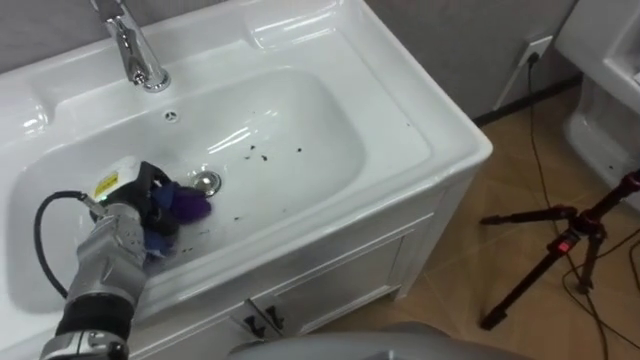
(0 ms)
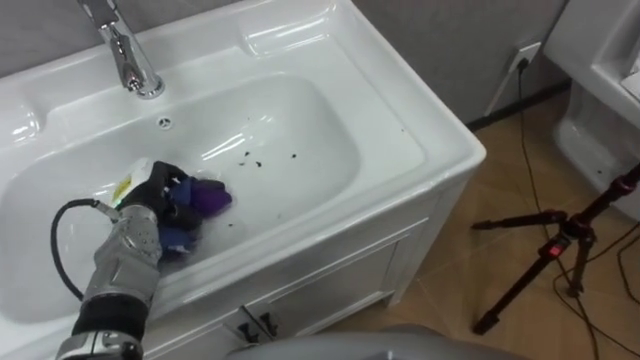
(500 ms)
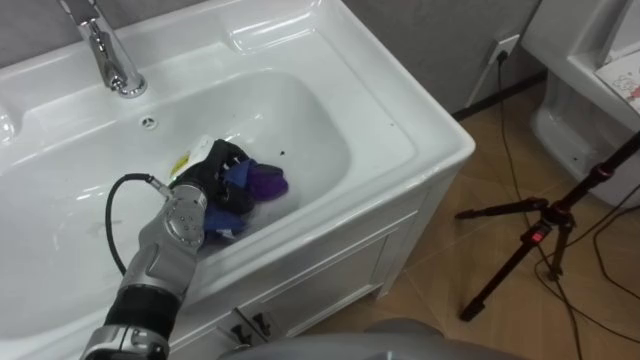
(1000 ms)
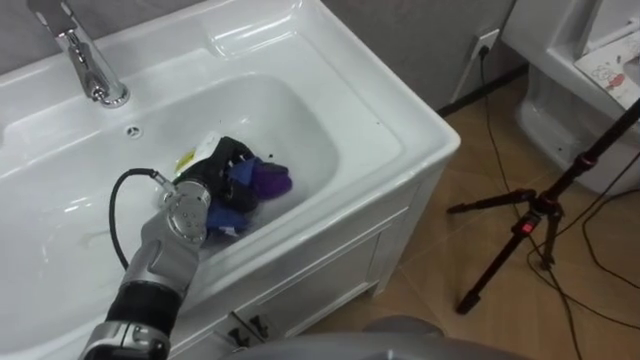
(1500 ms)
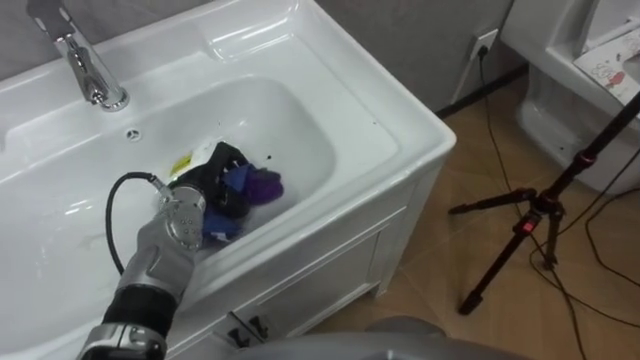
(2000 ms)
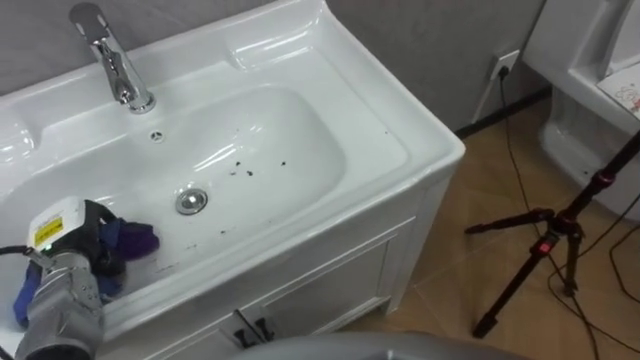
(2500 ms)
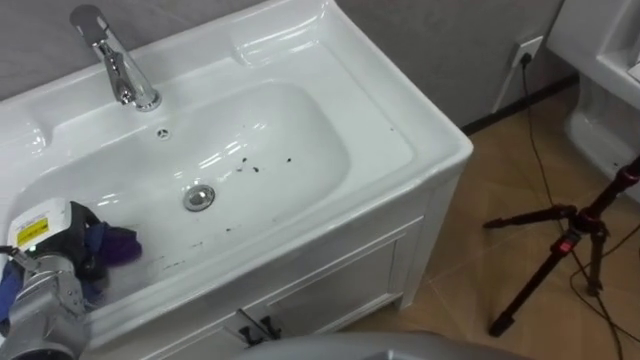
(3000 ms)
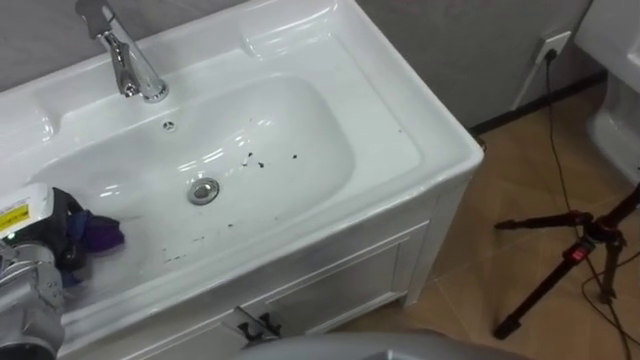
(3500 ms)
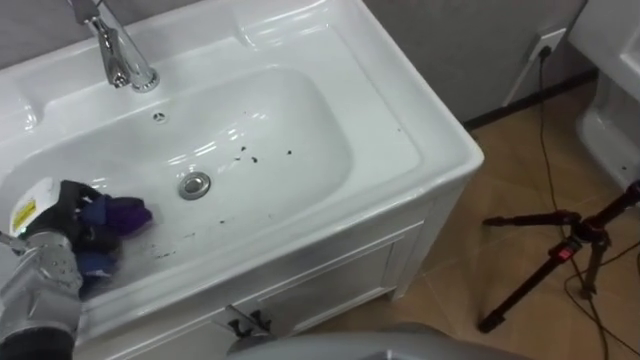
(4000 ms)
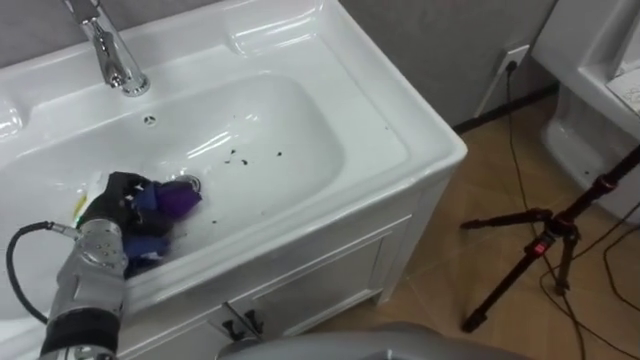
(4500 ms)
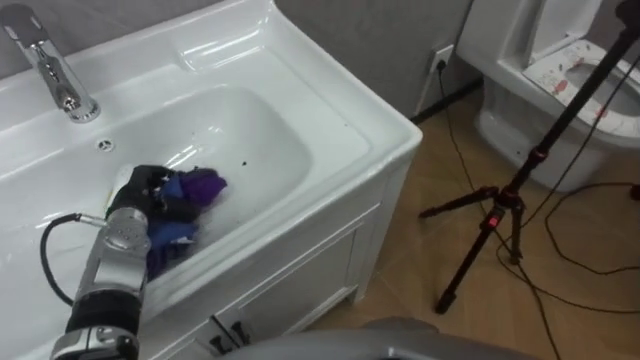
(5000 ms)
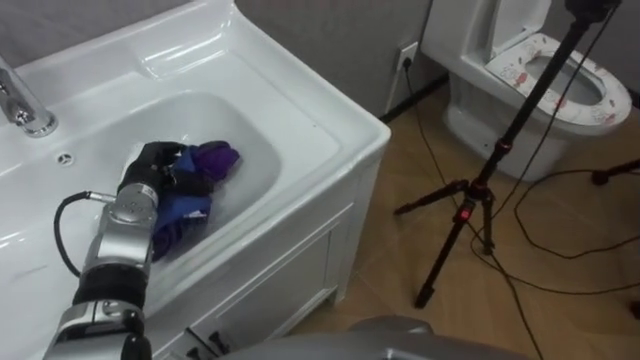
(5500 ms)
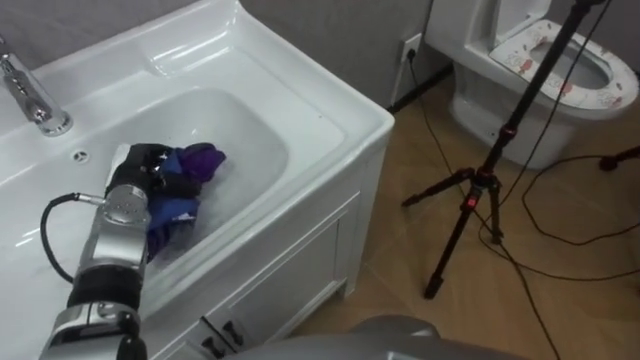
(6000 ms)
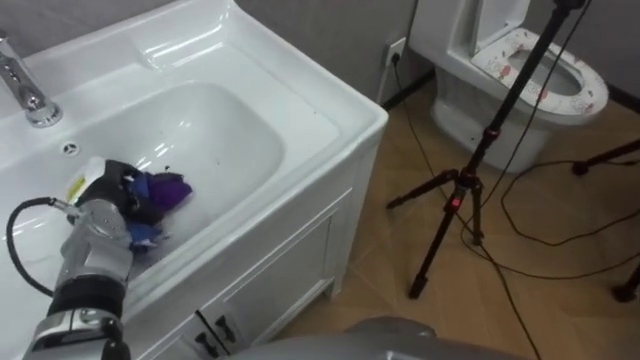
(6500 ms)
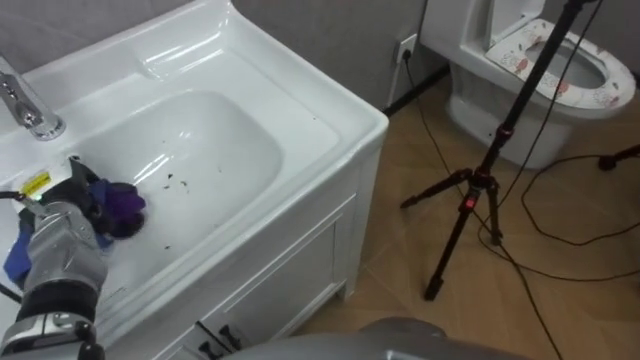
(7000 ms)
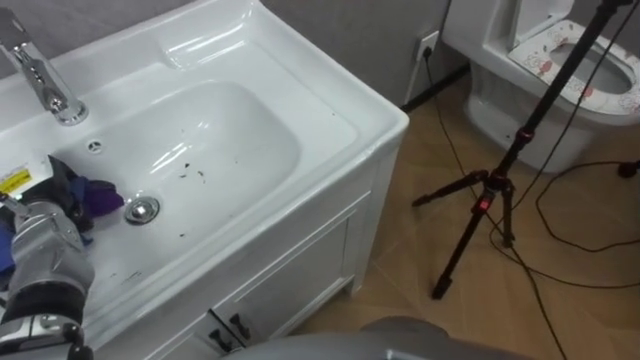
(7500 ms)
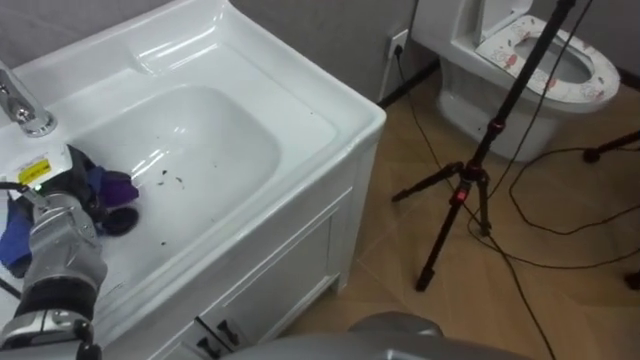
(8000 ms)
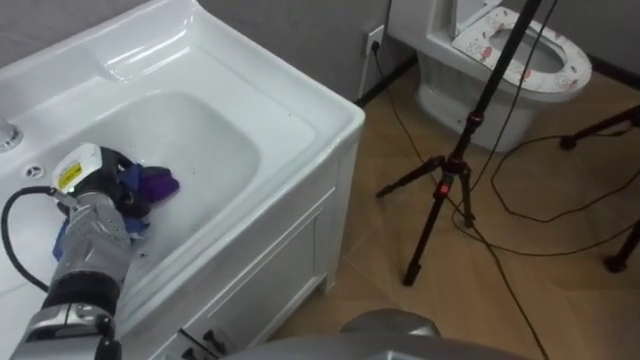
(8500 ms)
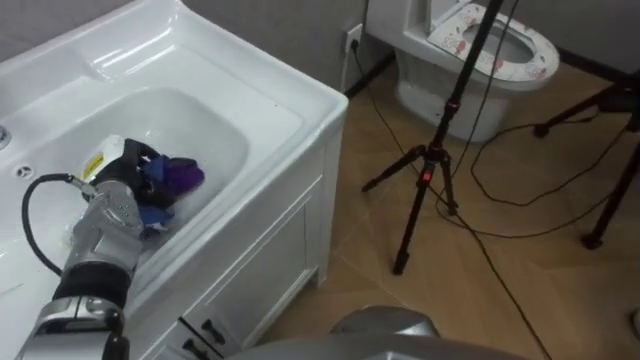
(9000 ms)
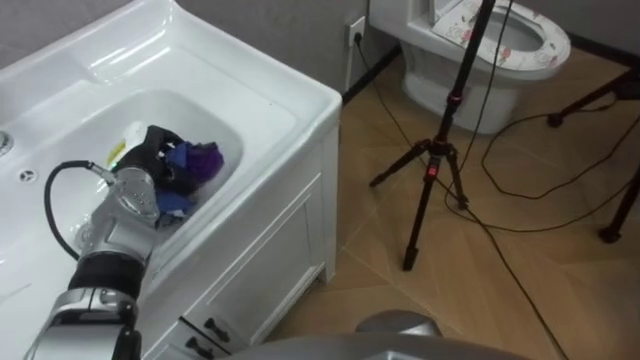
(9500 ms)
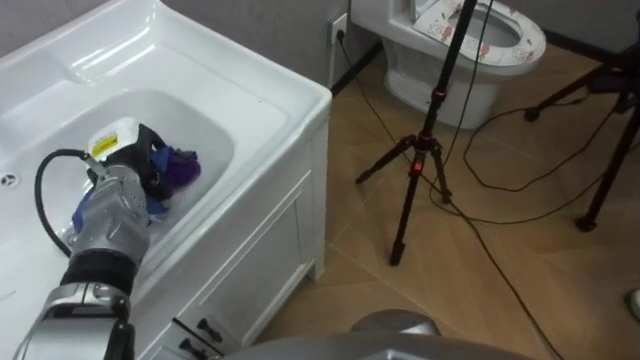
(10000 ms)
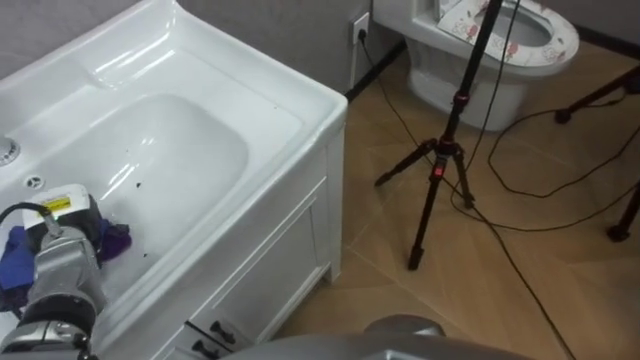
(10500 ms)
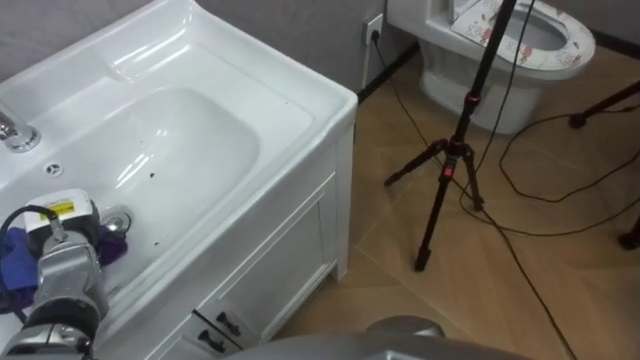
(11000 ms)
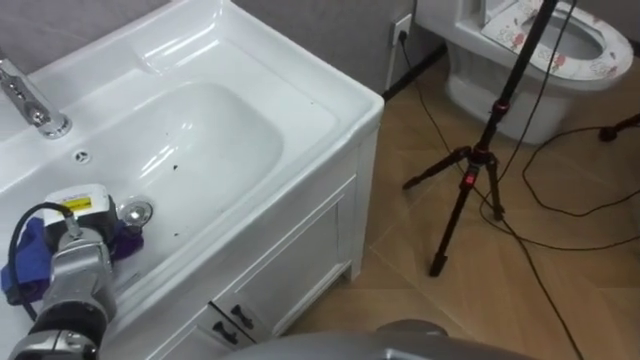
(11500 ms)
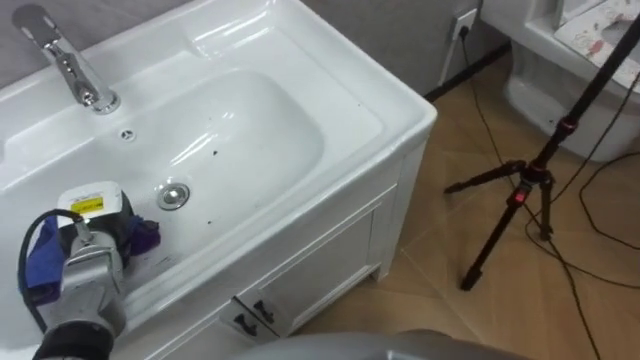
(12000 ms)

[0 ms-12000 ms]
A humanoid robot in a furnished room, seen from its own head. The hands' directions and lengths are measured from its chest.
Task of the whole recording: Use the cloth on the right to wipe away the black stain in the sink.
0 ms to 2000 ms: The left hand shifts roughly 10 cm to the right.
2000 ms to 4000 ms: The left hand travels to the left by approximately 20 cm.
4000 ms to 6000 ms: The left hand is displaced to the right and forward by some 10 cm.
6000 ms to 8000 ms: The left hand heads to the left, covering roughly 10 cm.
8000 ms to 10000 ms: The left hand heads to the right, covering about 10 cm.
10000 ms to 12000 ms: The left hand travels backward by roughly 10 cm.

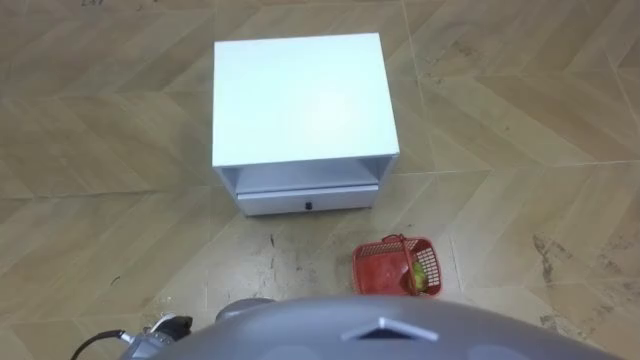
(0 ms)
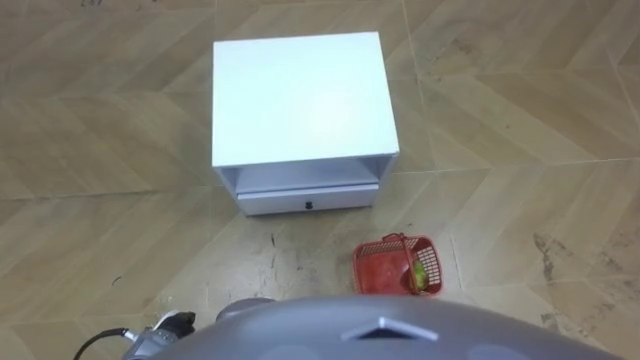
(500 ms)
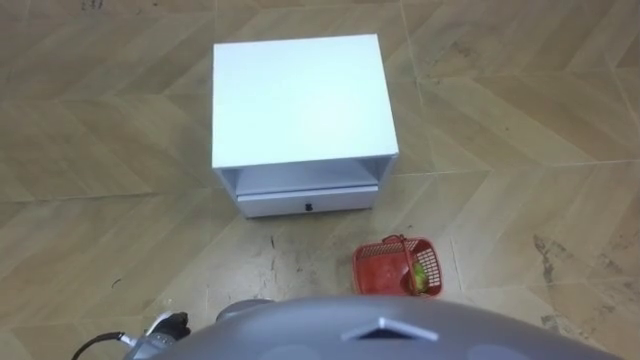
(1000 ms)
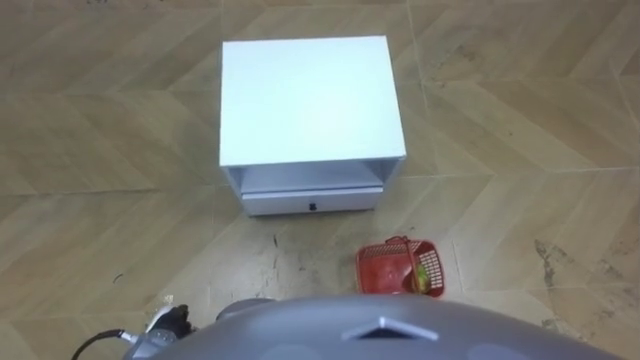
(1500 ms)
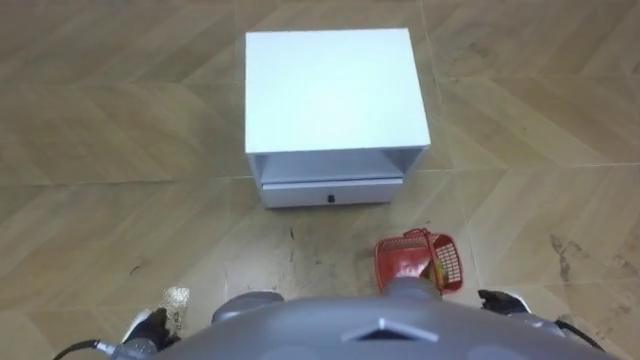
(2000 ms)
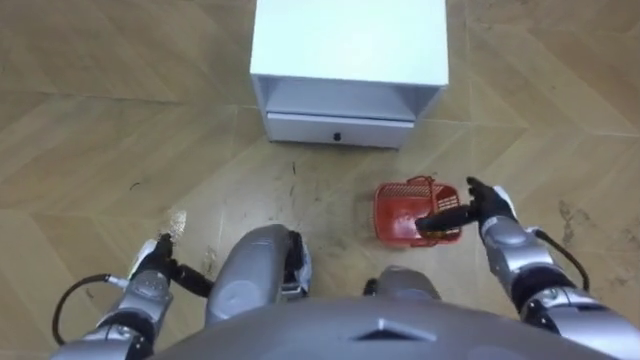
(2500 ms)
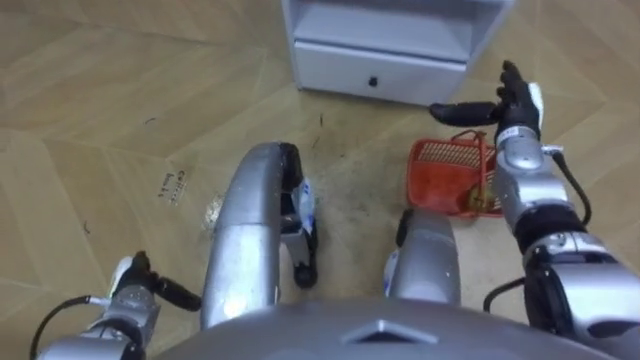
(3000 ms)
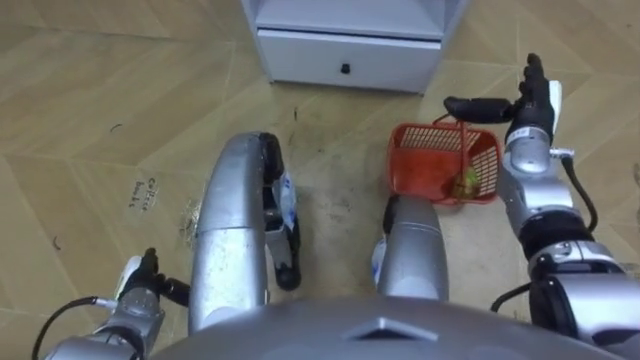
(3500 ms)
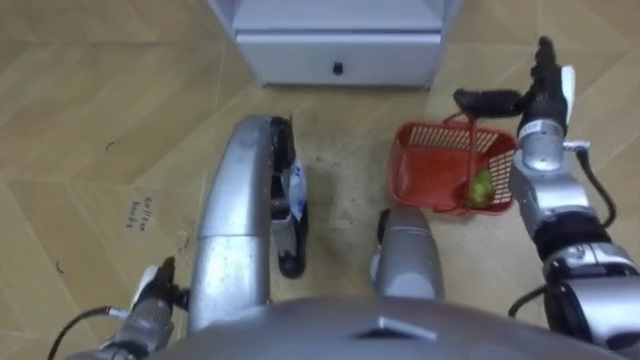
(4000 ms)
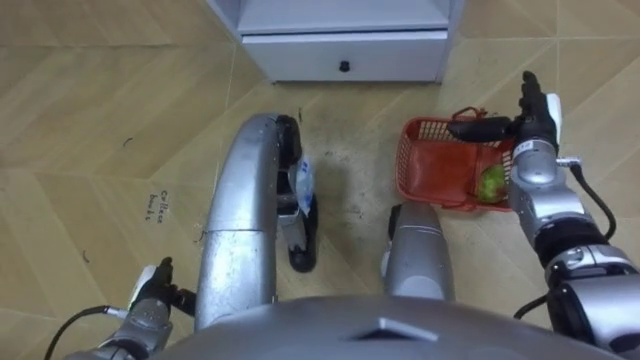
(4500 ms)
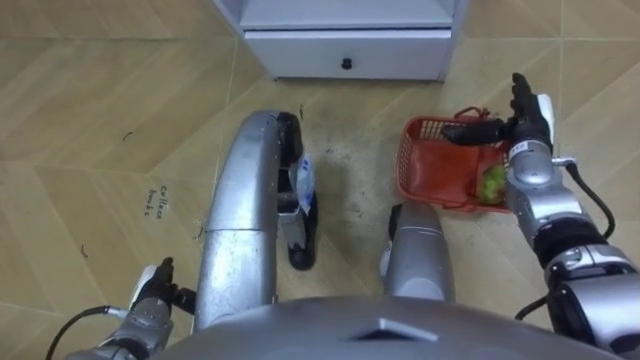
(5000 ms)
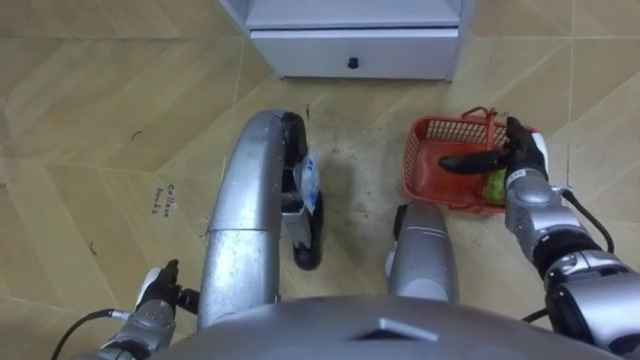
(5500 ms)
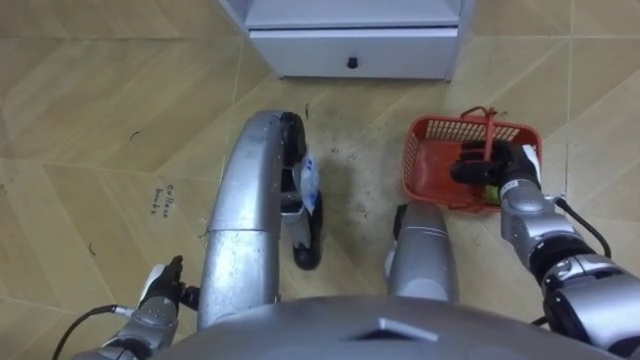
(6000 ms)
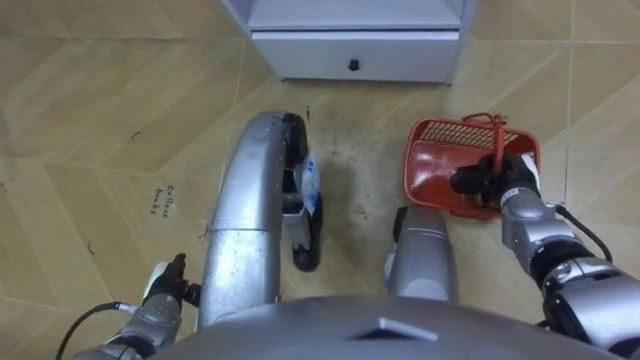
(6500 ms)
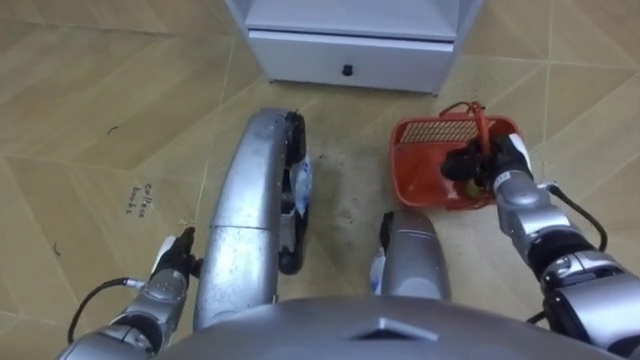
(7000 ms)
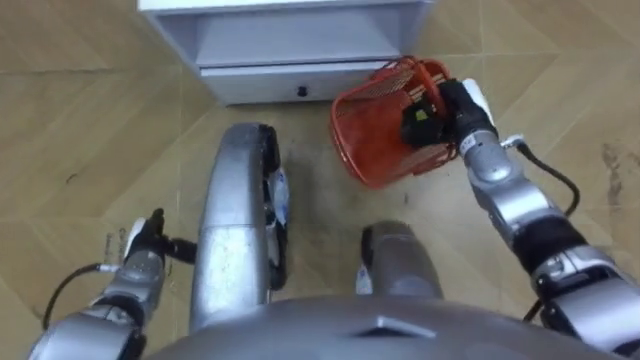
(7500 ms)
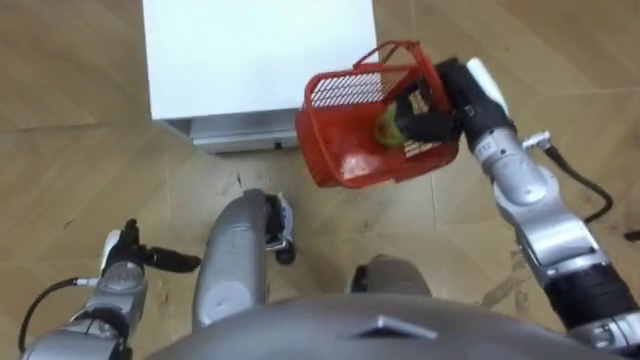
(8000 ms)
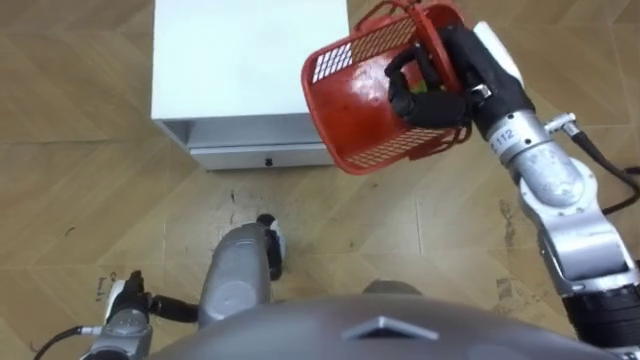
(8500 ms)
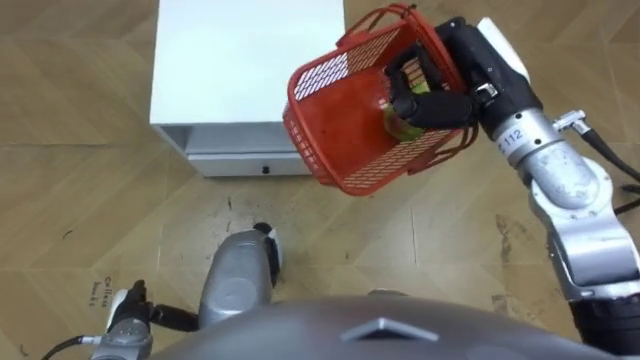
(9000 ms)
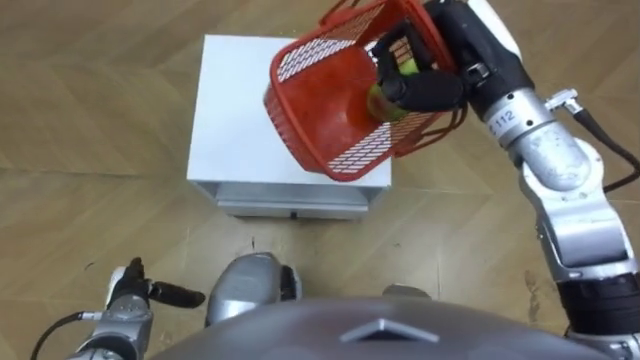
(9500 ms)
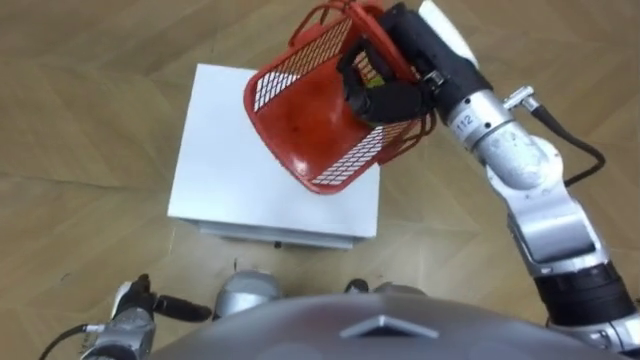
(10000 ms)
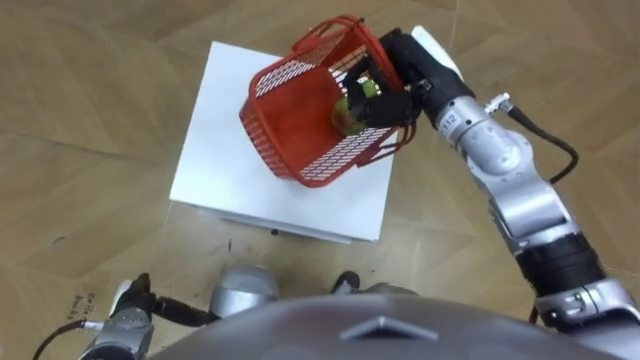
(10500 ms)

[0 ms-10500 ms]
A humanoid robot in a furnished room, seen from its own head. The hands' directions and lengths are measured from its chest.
Task of the whole recording: Pick up the fruit basket from the floor and place it on the cabinet.
2000 ms to 4000 ms: The left hand shifts approximately 5 cm forward; the right hand goes about 35 cm forward and upward.
4000 ms to 6500 ms: The right hand shifts about 15 cm downward and backward, and closes up.
6500 ms to 8500 ms: The left hand reaches approximately 5 cm forward, then returns. The right hand shifts about 25 cm upward and to the left.
8500 ms to 10500 ms: The right hand is displaced to the left by roughly 5 cm.
